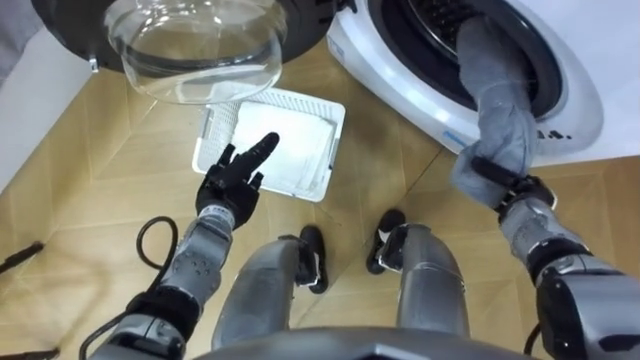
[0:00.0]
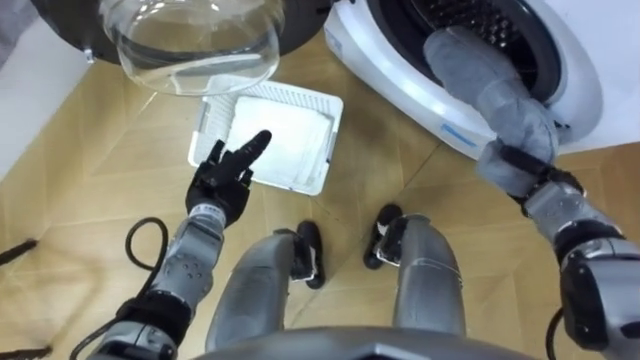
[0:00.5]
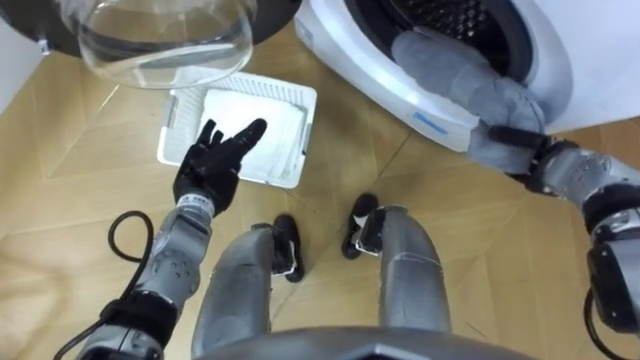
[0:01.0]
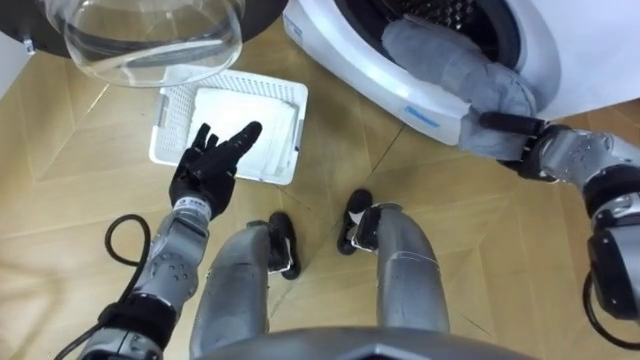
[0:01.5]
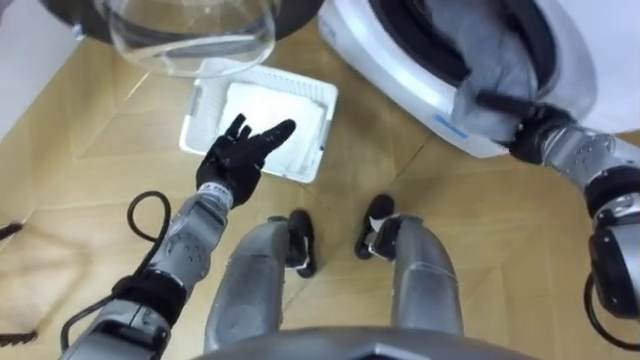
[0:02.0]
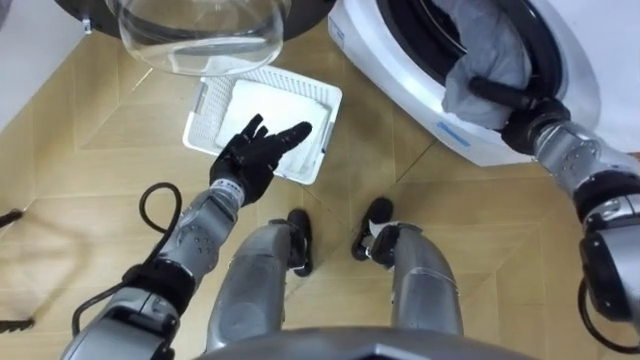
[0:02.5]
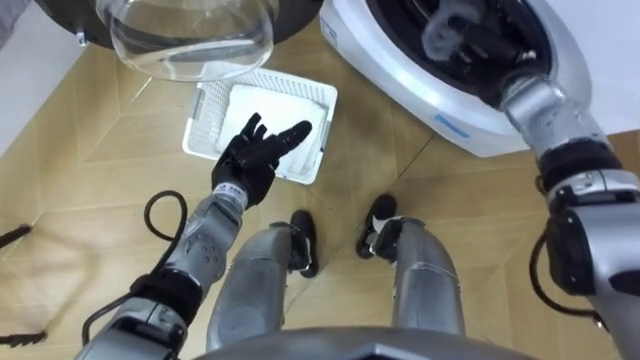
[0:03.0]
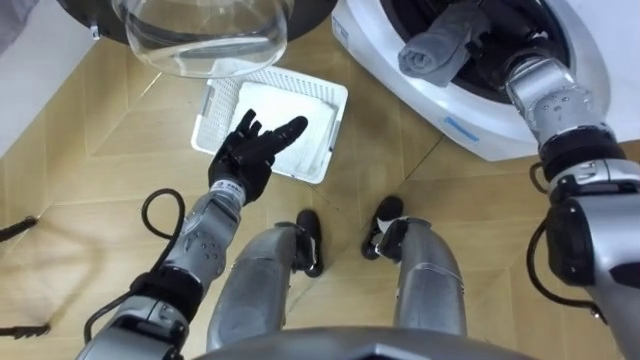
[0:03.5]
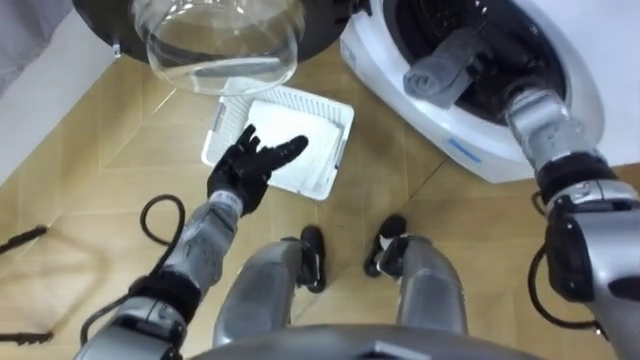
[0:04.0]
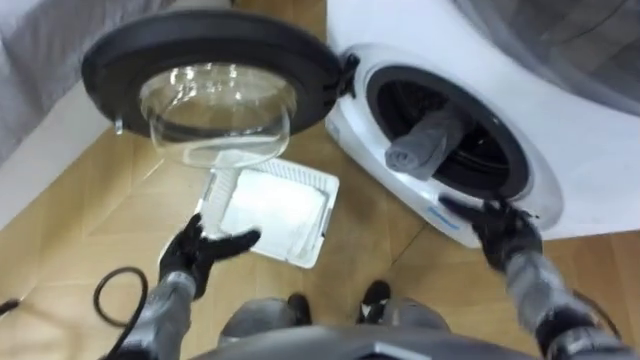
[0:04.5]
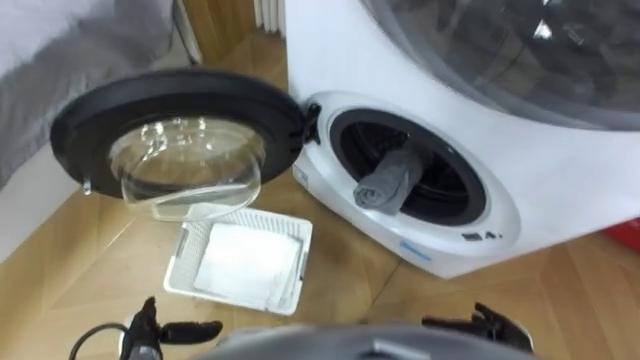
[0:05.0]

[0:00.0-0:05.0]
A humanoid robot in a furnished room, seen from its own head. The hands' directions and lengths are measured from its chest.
Task of the whole recording: Take the towel from the basket and put it into the washing machine.
0:00.0 to 0:02.5: The right hand shifts some 15 cm forward and upward.
0:02.5 to 0:05.0: The right hand heads backward and downward, covering some 35 cm, and opens up, while the left hand heads backward, to the left and downward, covering about 30 cm.

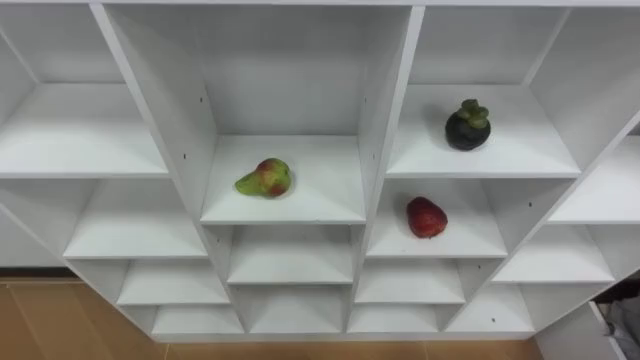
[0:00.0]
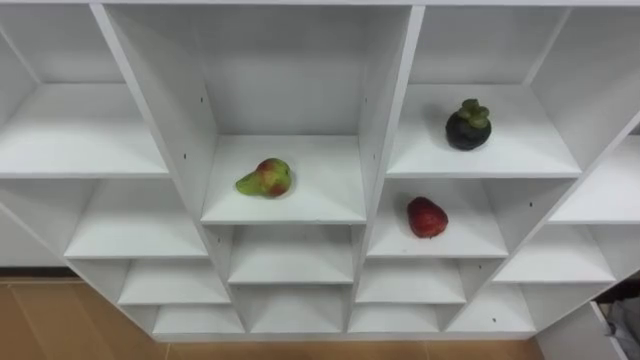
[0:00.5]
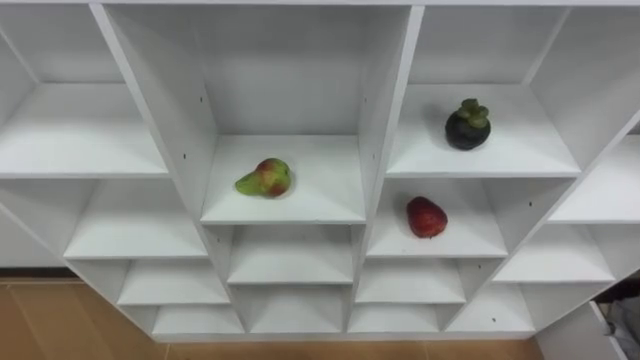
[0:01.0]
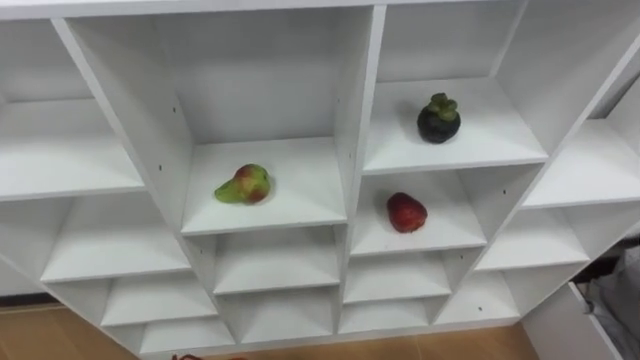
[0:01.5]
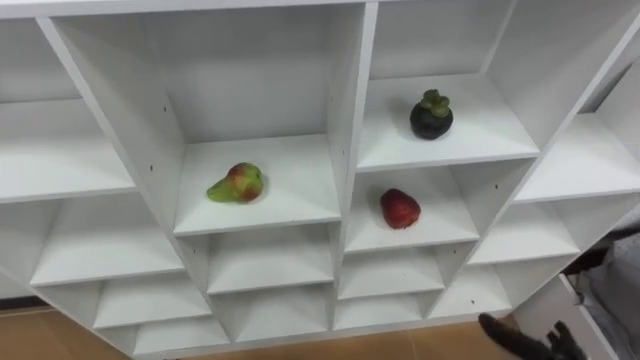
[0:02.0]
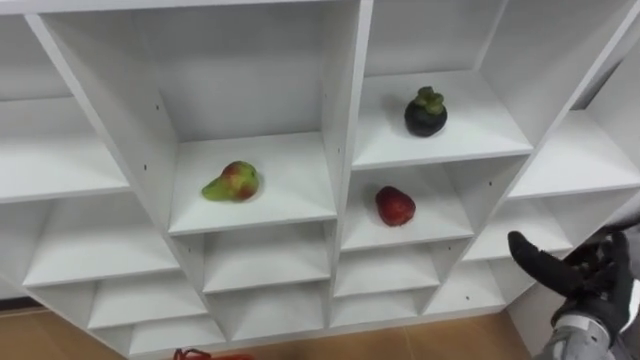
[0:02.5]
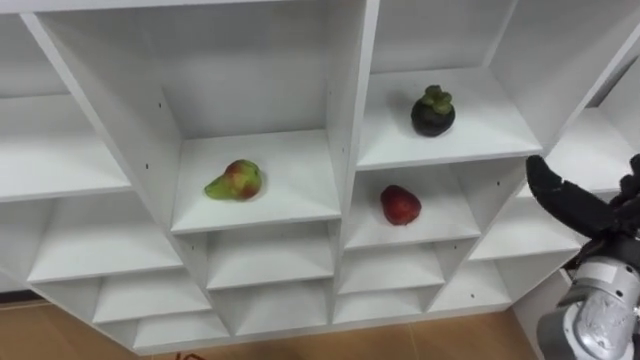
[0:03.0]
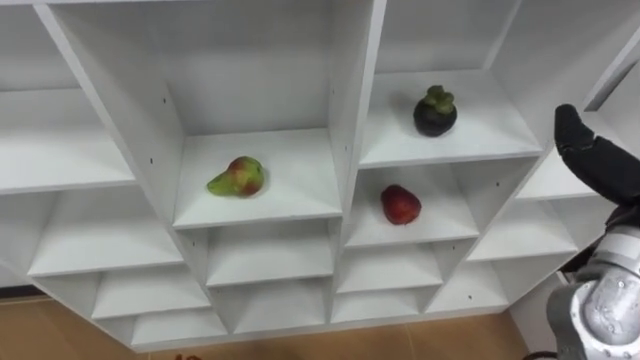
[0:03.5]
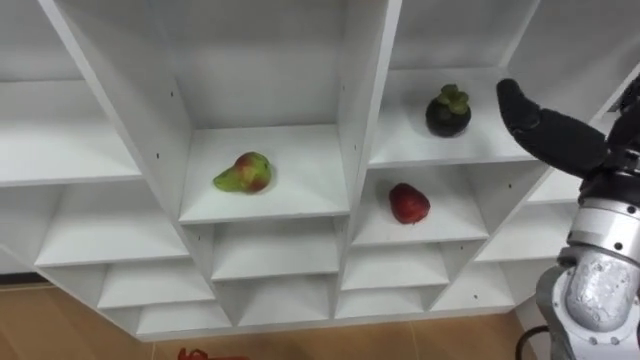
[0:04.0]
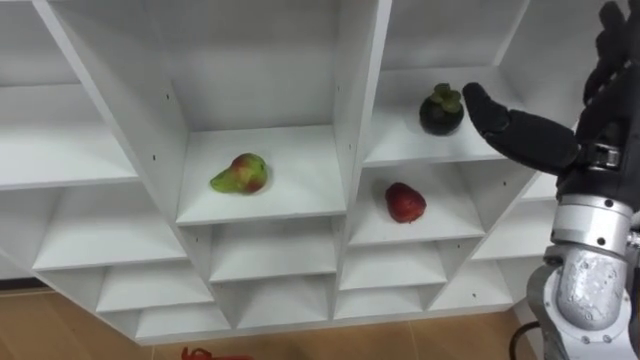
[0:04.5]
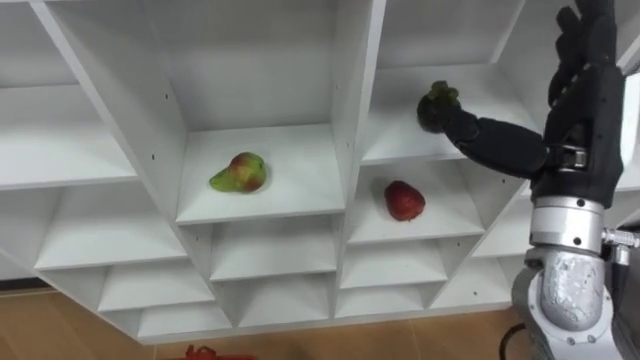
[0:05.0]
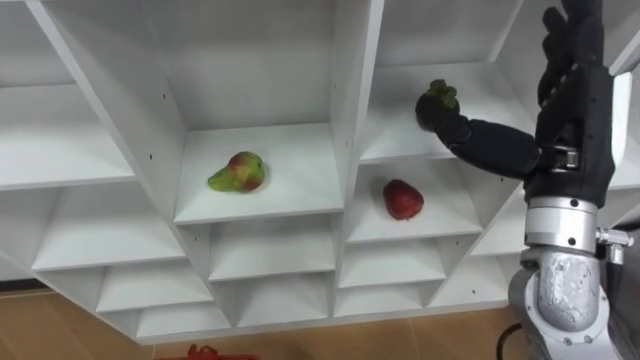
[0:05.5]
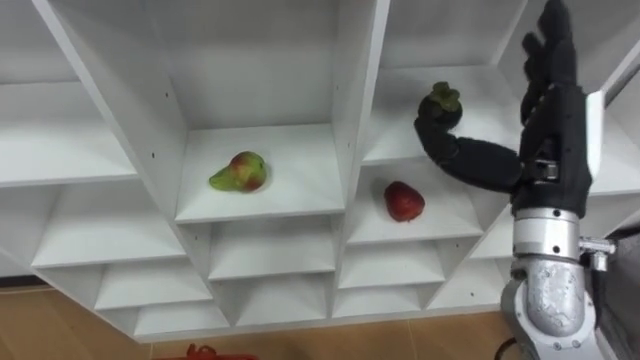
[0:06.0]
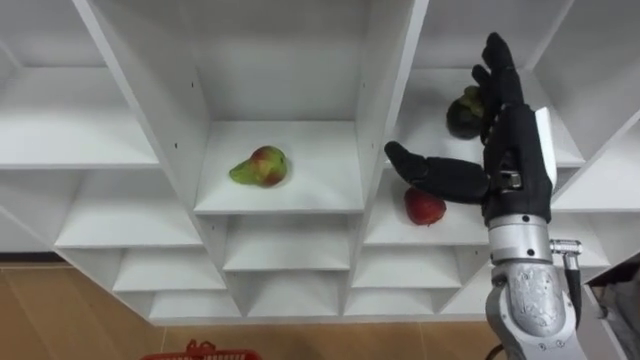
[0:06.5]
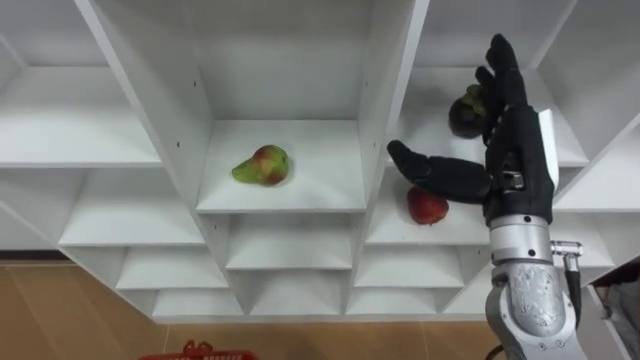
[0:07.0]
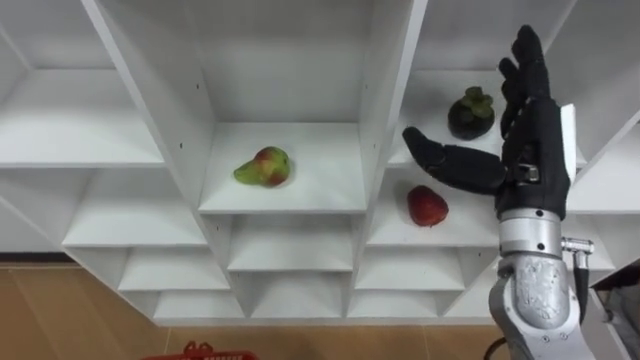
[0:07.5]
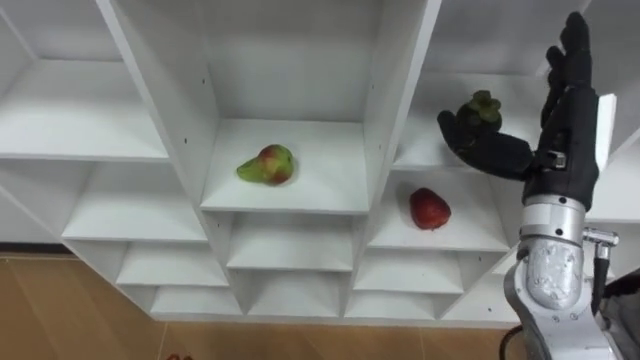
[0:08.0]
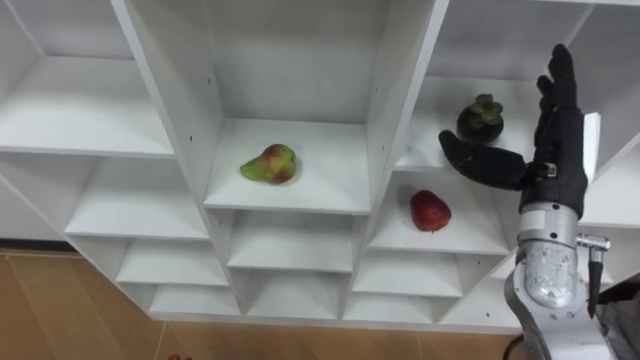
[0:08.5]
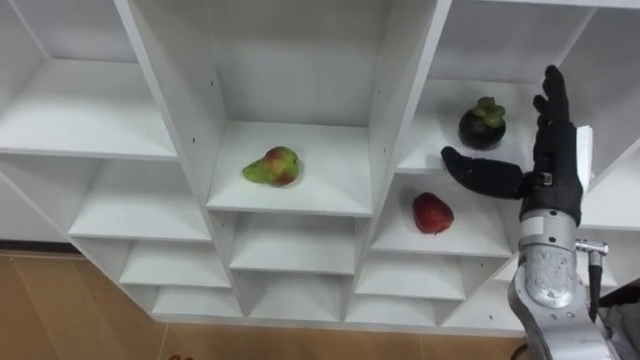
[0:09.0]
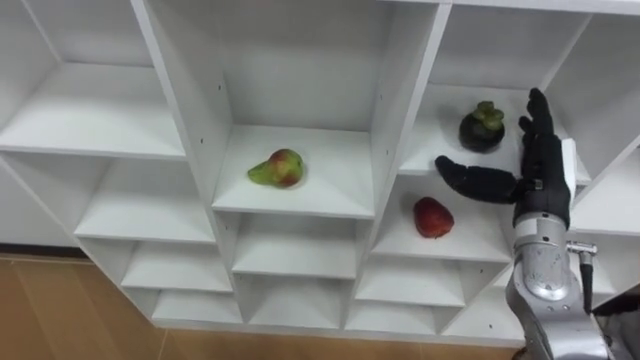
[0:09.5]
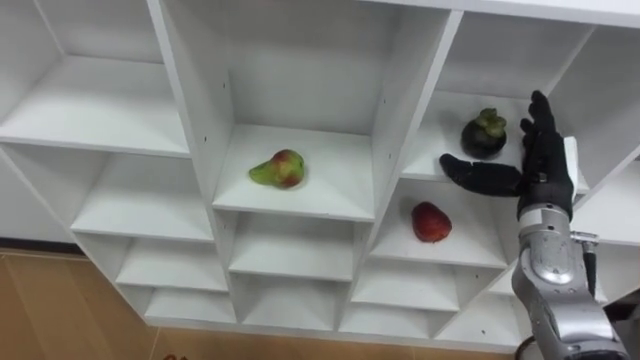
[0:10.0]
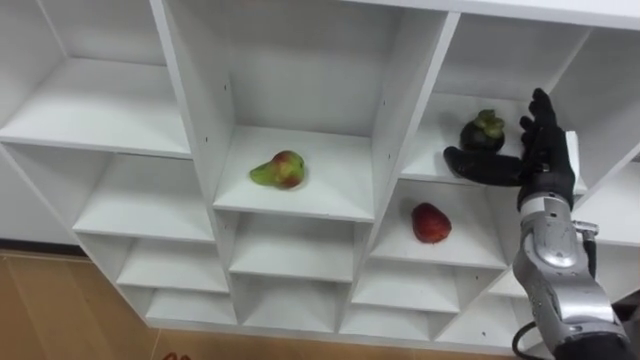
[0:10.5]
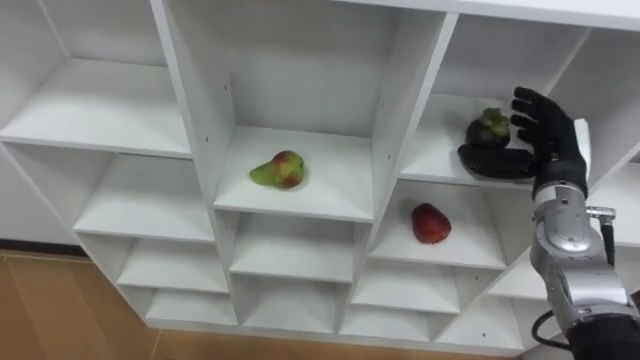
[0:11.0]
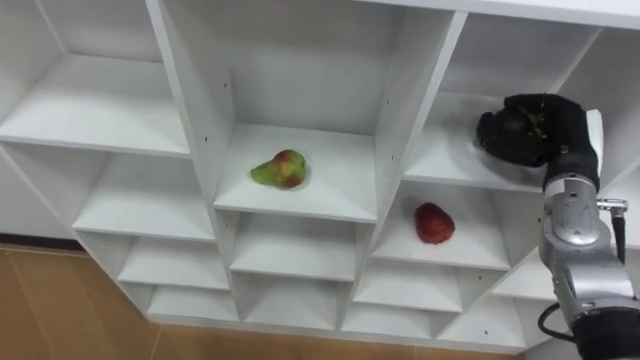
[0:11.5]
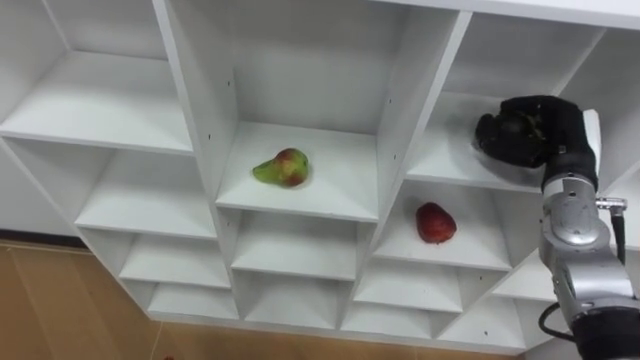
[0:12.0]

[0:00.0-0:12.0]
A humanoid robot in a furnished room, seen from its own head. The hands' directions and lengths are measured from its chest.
Task of the whole recording: Hold the basket and collect the fruits from 3 different cells of the closet into it.
0:04.0 to 0:06.0: The right hand goes some 5 cm to the left.
0:08.0 to 0:10.0: The right hand is displaced downward by about 10 cm.
0:10.0 to 0:12.0: The right hand closes up.

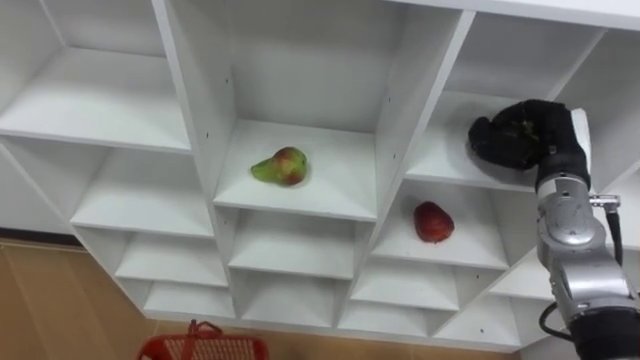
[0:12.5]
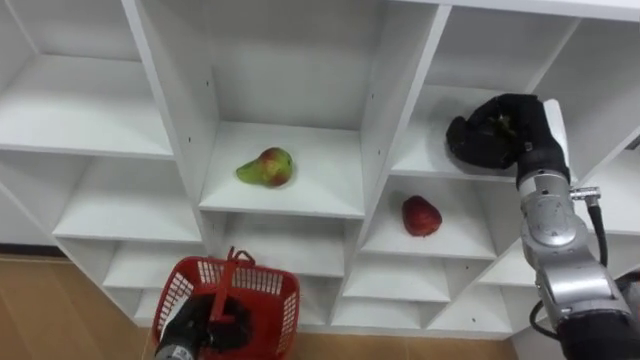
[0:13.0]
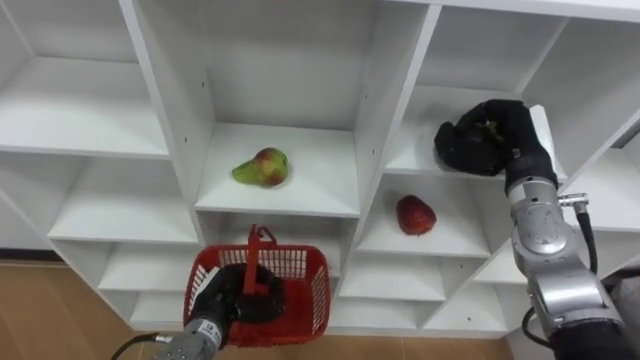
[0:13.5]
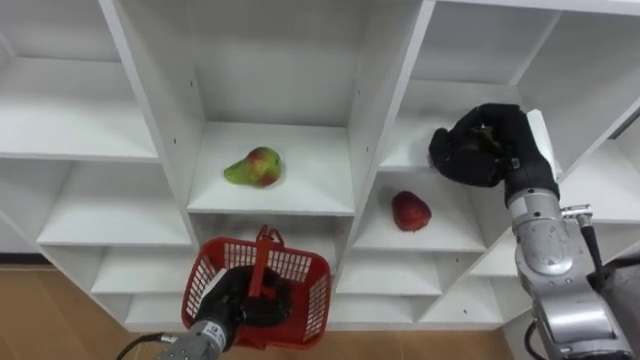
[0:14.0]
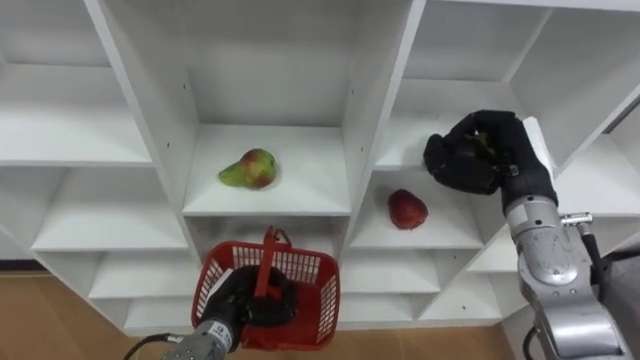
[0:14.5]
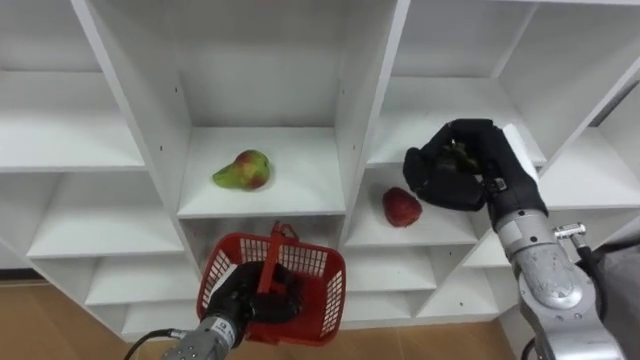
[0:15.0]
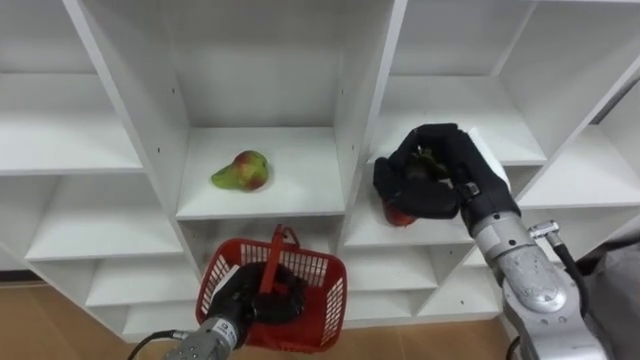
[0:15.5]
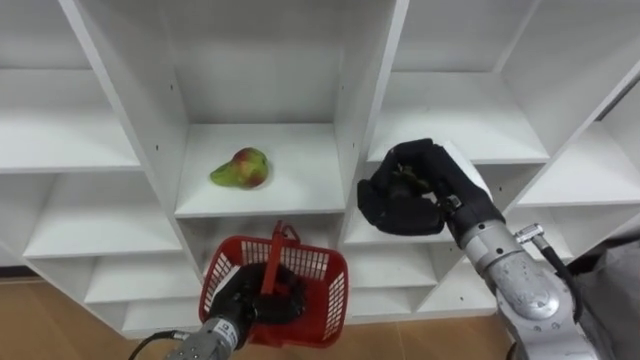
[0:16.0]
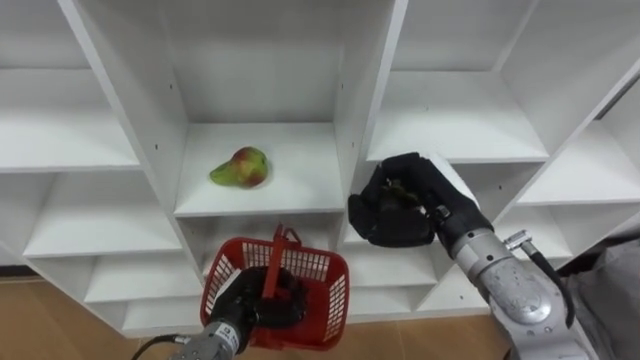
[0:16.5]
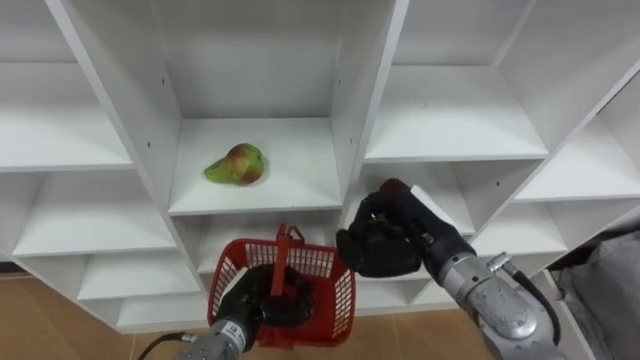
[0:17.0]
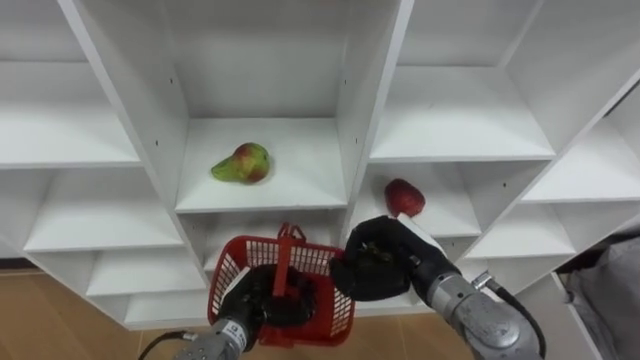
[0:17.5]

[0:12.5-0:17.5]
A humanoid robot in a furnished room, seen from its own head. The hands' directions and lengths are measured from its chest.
Task of the whole recording: Hold the basket and collect the fruits from 3 different cells of the closet into it.
0:12.5 to 0:15.0: The right hand shifts about 10 cm to the left and backward.
0:15.0 to 0:17.5: The right hand is displaced downward and to the left by about 15 cm.
